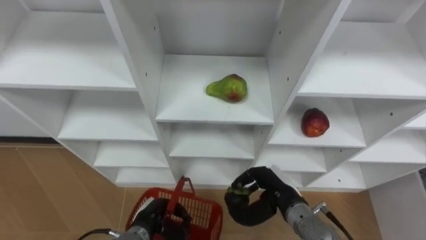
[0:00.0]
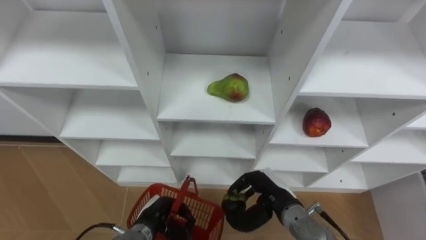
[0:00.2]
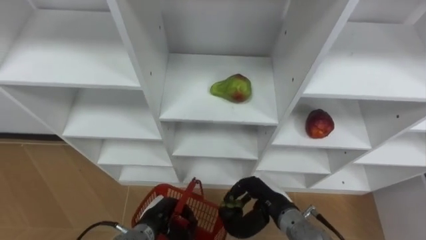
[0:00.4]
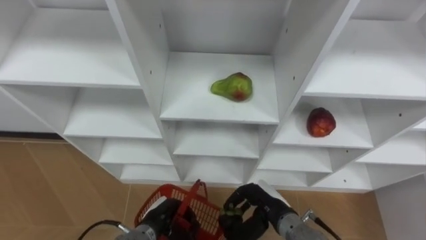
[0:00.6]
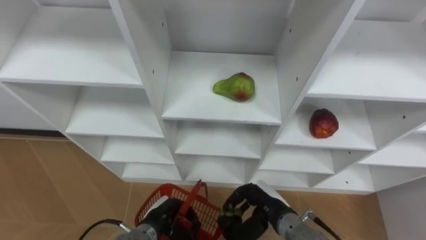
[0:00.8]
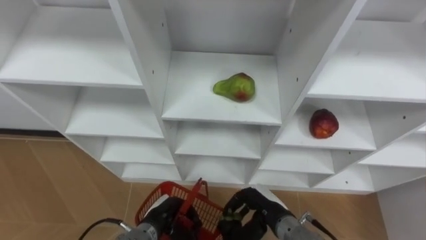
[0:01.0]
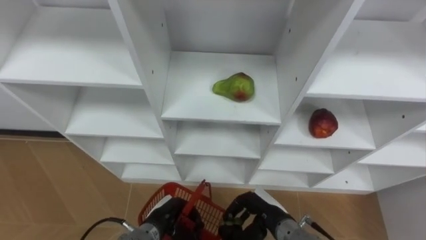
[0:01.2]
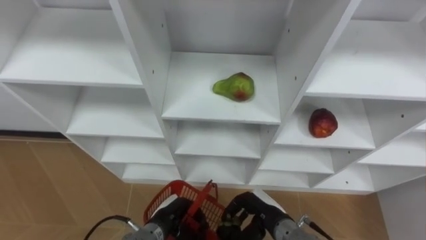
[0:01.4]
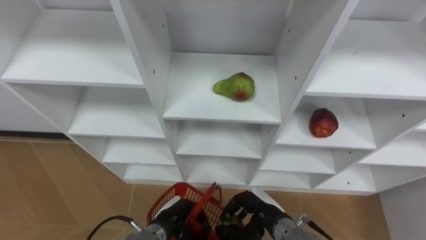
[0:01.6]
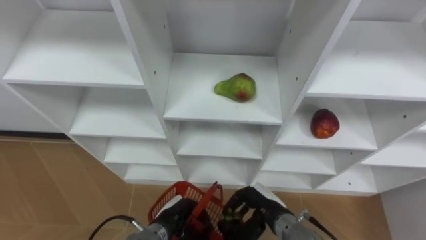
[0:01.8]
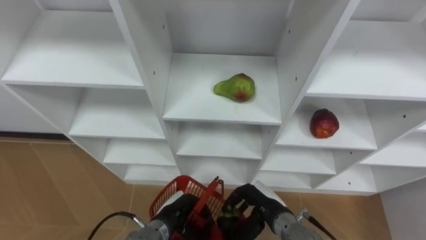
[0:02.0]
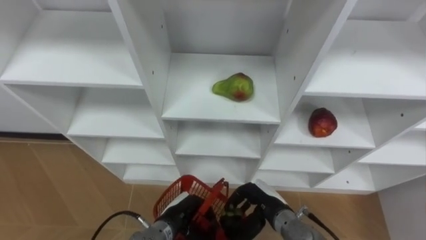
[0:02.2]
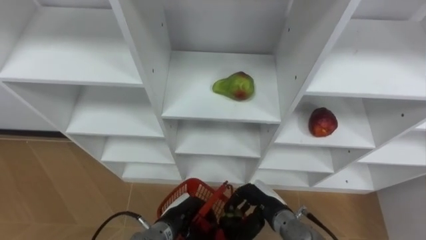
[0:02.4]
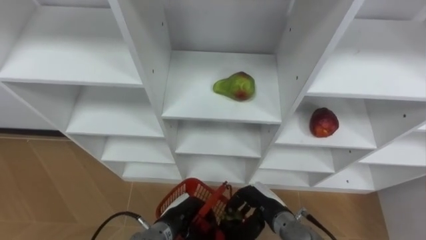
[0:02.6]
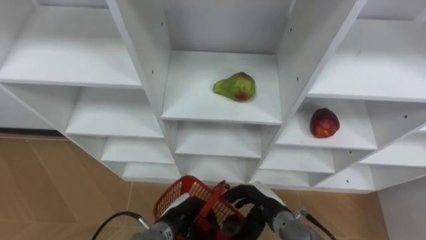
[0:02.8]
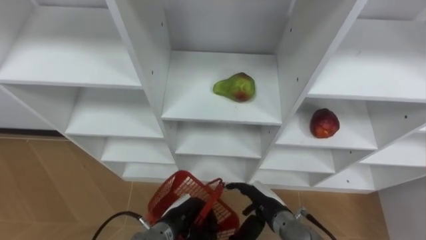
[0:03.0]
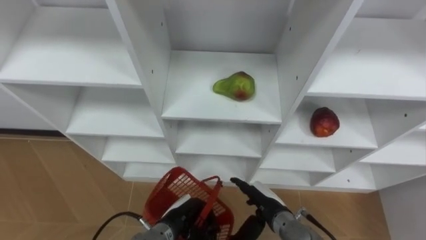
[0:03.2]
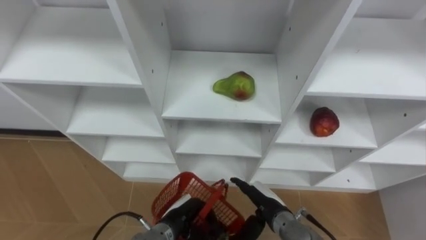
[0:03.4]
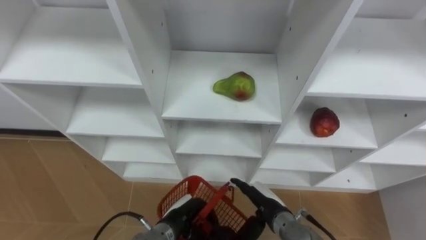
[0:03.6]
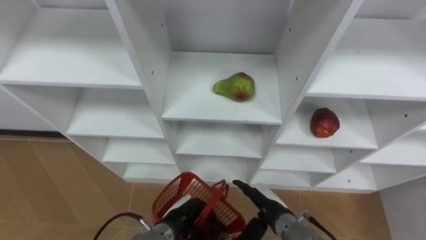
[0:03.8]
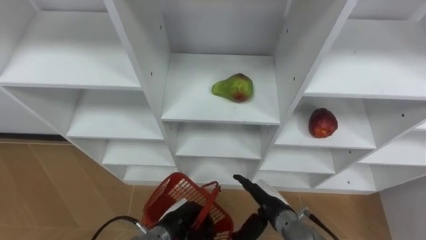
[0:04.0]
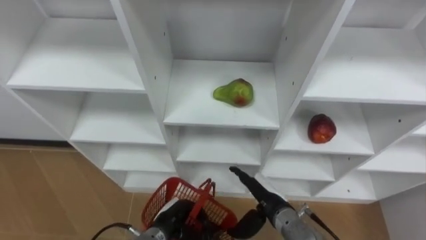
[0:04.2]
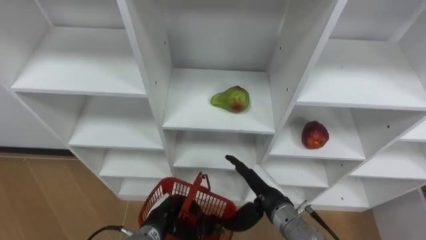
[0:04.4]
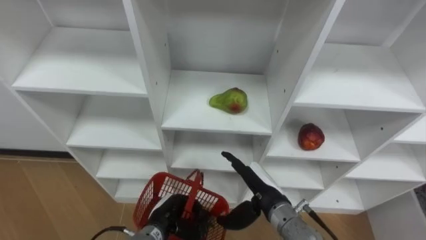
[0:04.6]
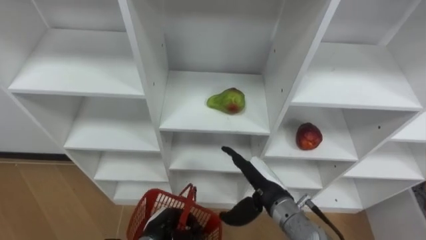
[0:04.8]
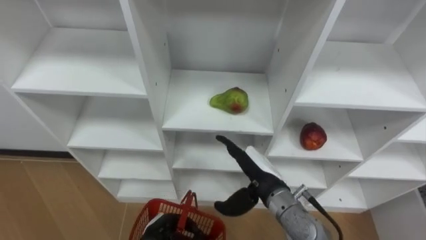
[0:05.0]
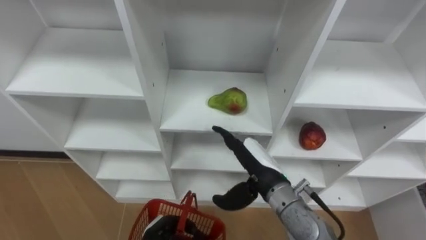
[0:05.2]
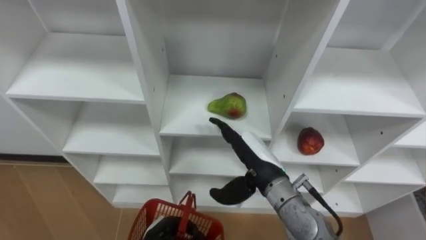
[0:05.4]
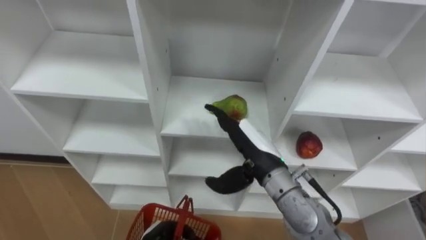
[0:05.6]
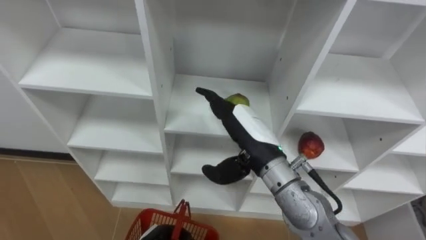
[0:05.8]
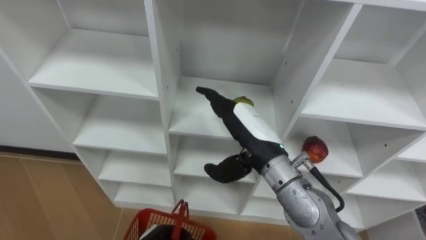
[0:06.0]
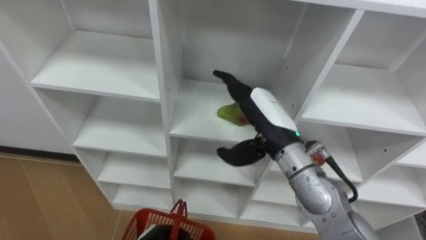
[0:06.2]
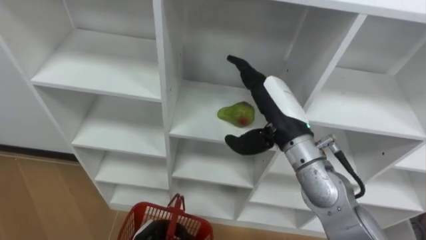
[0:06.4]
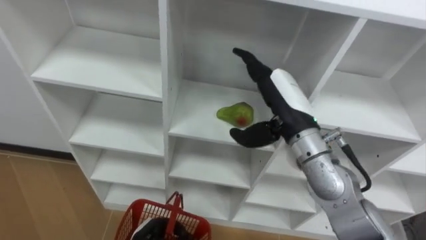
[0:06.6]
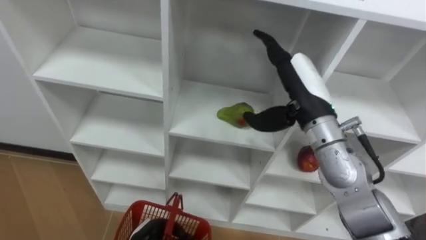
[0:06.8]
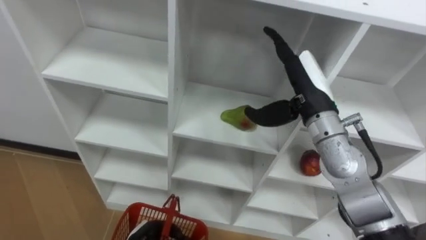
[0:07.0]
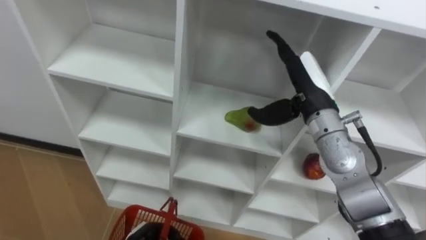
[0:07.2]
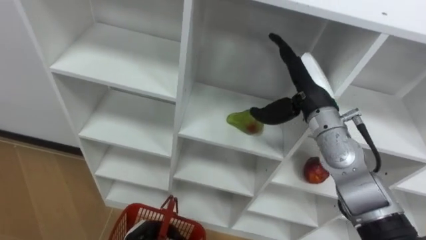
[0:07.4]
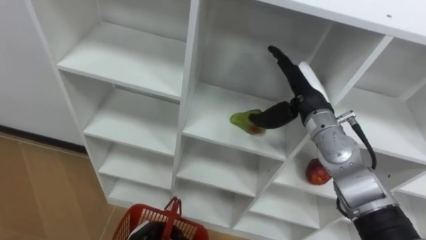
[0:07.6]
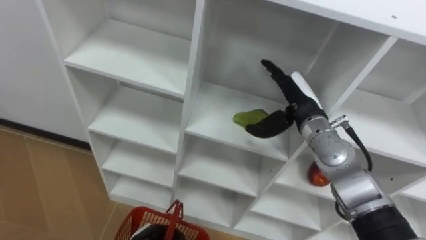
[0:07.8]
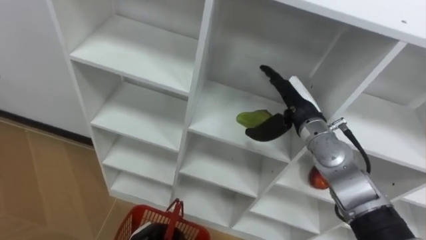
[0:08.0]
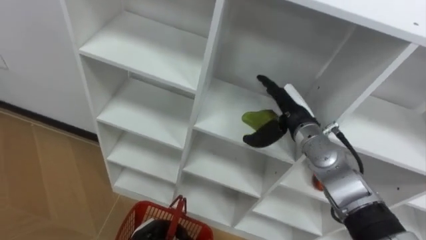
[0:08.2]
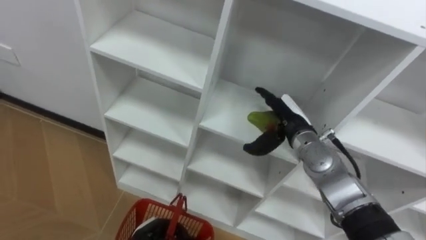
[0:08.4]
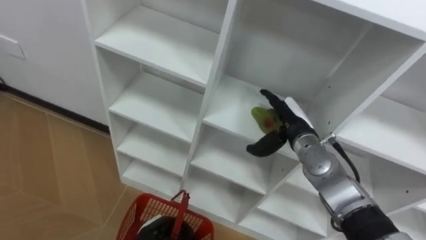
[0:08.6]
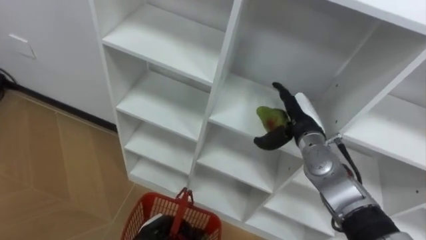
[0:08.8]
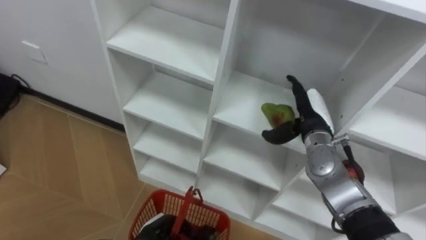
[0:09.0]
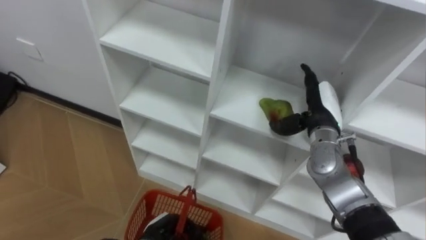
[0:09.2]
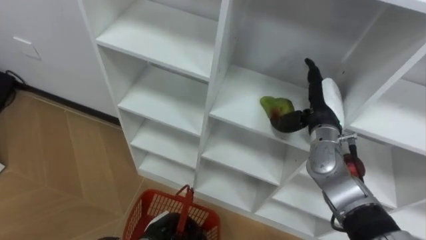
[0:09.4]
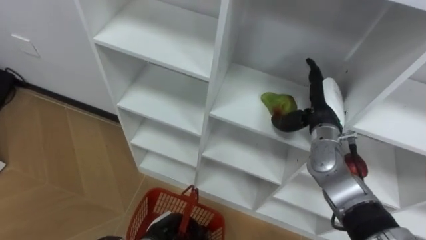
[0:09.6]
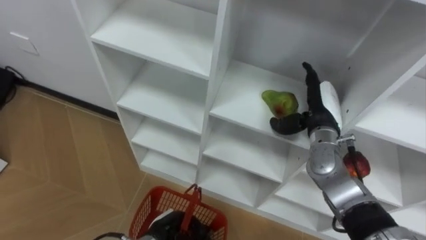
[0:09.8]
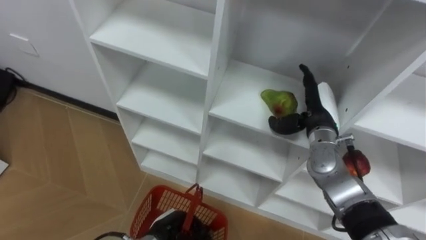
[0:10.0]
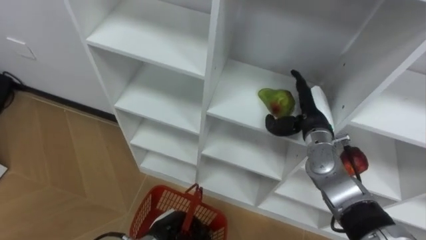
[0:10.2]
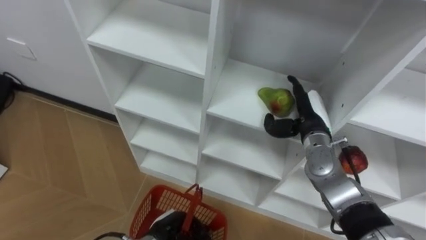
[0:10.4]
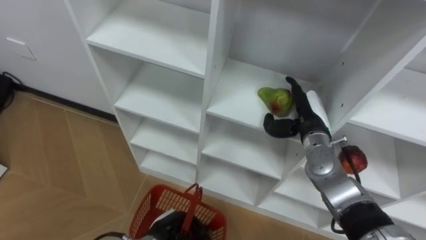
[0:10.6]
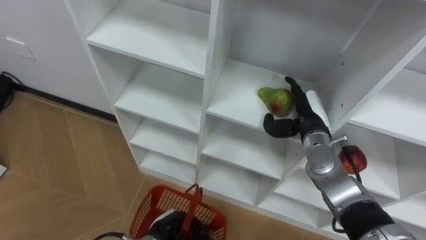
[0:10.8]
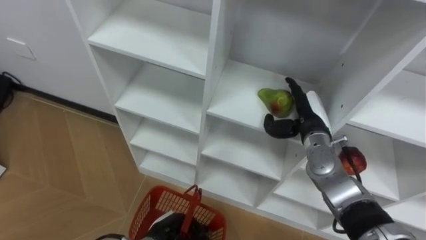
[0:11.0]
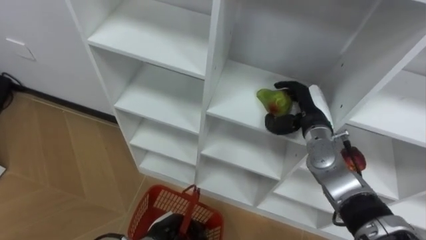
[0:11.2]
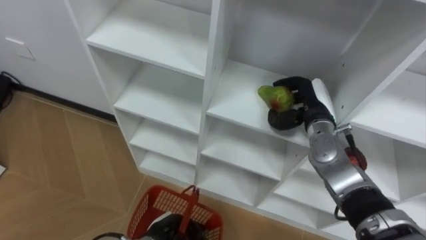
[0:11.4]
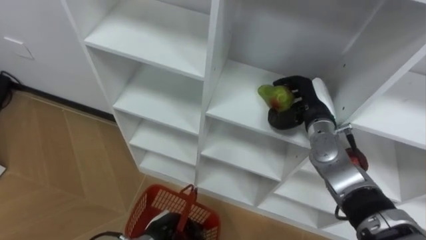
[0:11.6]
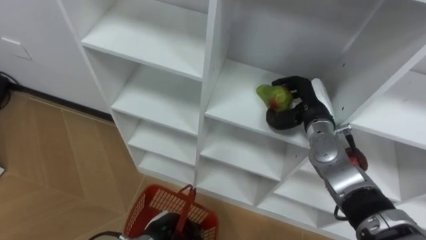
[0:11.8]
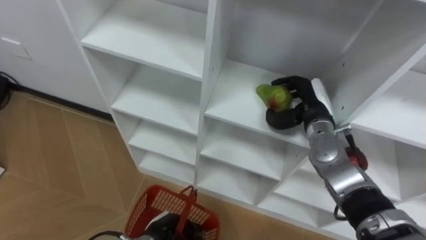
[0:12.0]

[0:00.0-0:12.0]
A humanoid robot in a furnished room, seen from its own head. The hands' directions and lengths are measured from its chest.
Task of the whole recording: Hold the basket and collect the fruits from 3 different cells of the closet into it.
0:00.0 to 0:01.6: The right hand changes place by roughly 5 cm.
0:01.6 to 0:03.0: The right hand opens its fingers.
0:03.0 to 0:04.4: The right hand goes roughly 5 cm upward.
0:04.4 to 0:06.0: The right hand moves upward, roughly 15 cm.
0:06.0 to 0:07.6: The right hand heads to the right and forward, covering about 15 cm.
0:07.6 to 0:09.0: The right hand heads downward, covering approximately 5 cm.
0:10.4 to 0:12.0: The right hand closes.

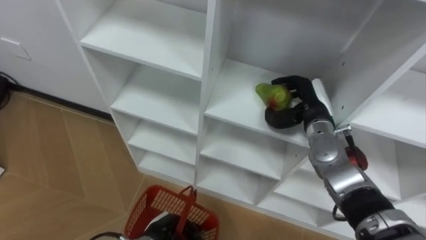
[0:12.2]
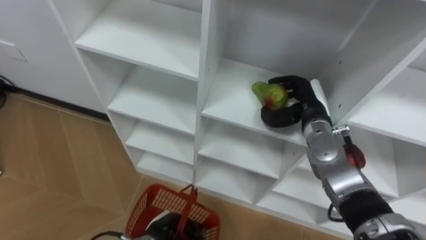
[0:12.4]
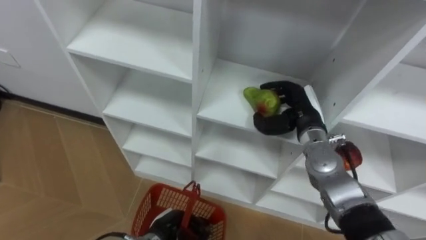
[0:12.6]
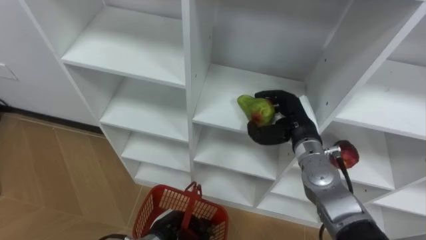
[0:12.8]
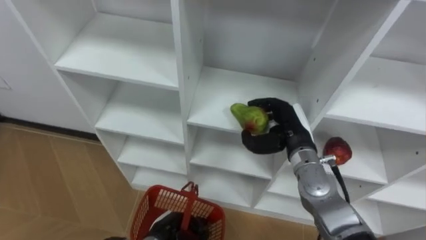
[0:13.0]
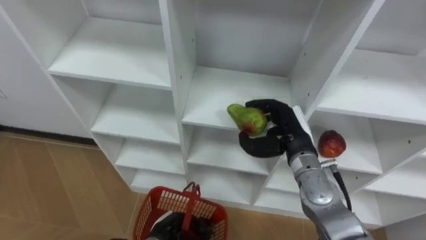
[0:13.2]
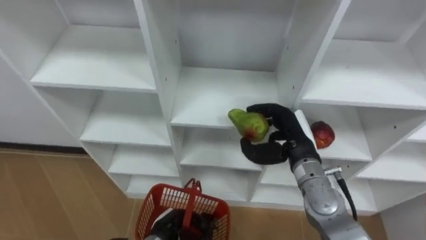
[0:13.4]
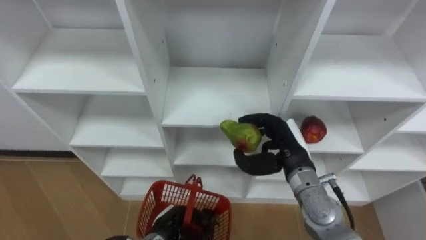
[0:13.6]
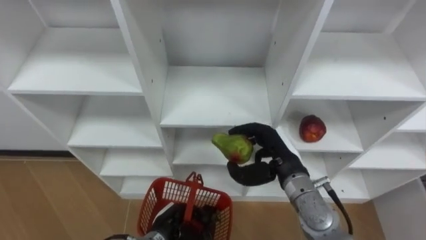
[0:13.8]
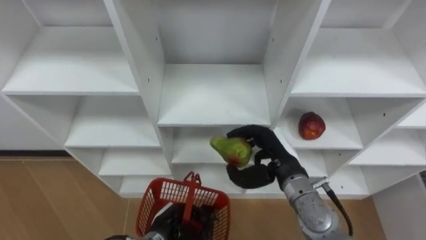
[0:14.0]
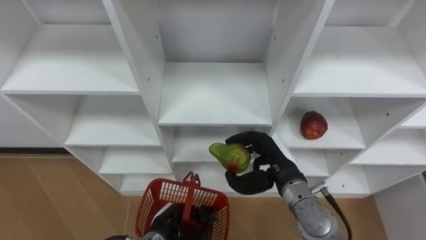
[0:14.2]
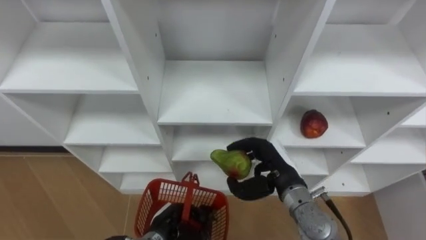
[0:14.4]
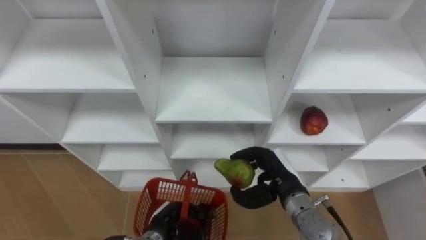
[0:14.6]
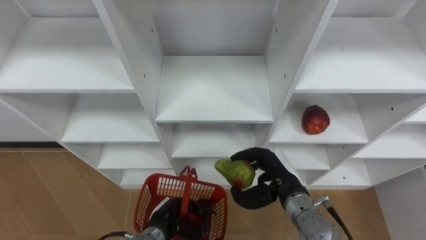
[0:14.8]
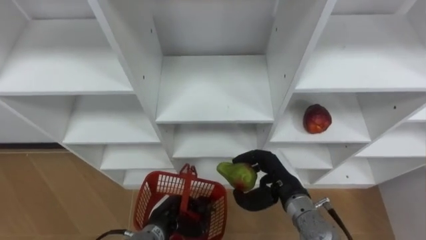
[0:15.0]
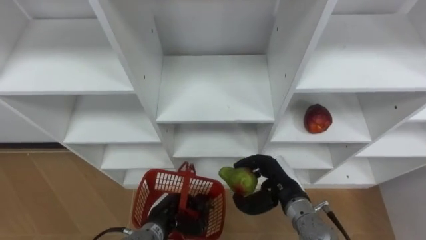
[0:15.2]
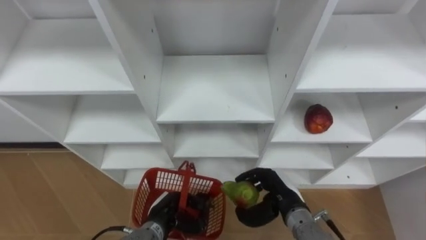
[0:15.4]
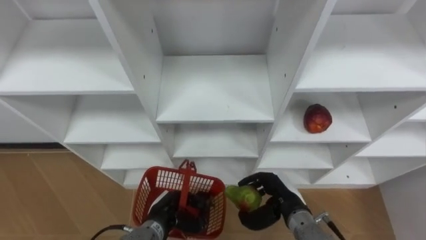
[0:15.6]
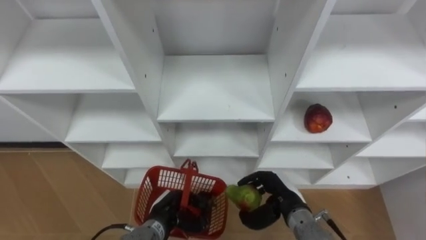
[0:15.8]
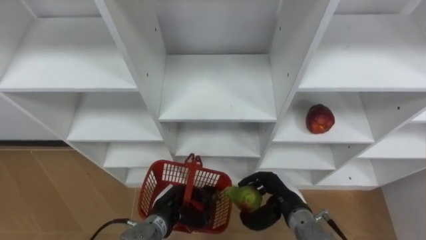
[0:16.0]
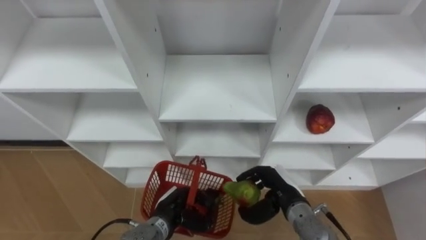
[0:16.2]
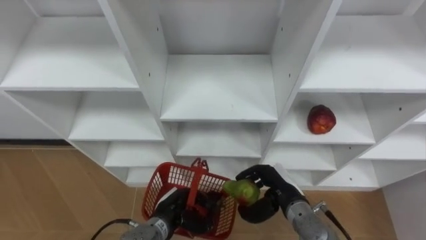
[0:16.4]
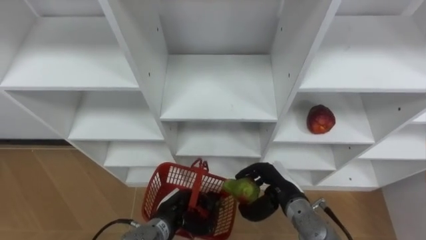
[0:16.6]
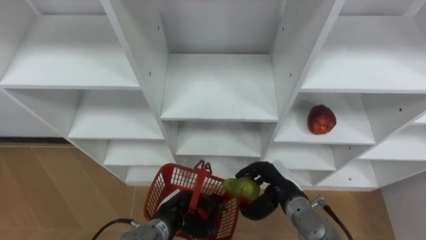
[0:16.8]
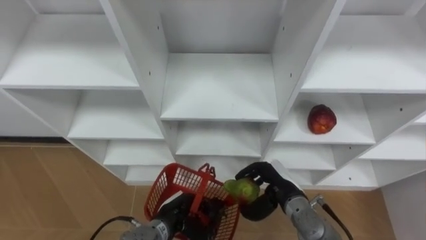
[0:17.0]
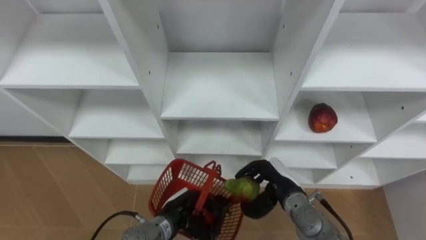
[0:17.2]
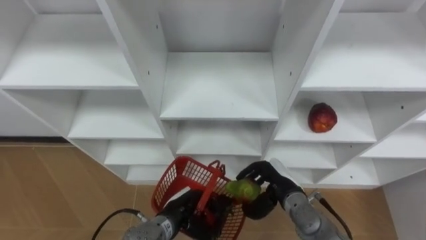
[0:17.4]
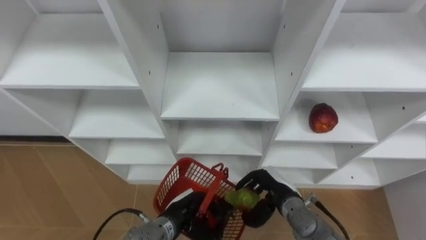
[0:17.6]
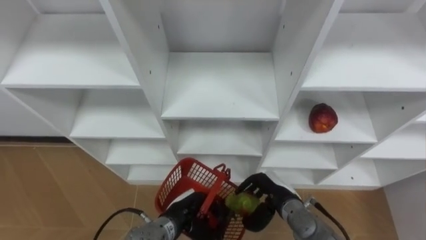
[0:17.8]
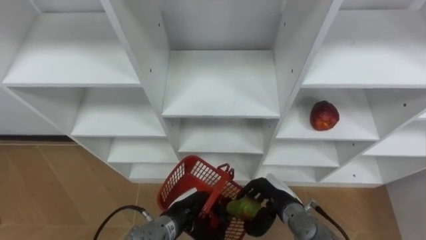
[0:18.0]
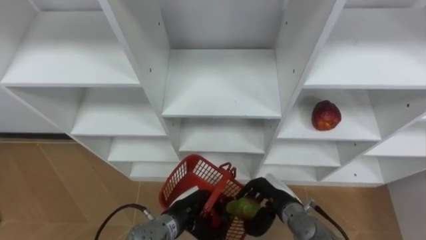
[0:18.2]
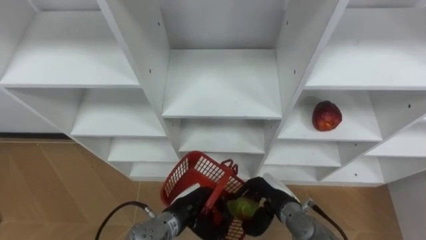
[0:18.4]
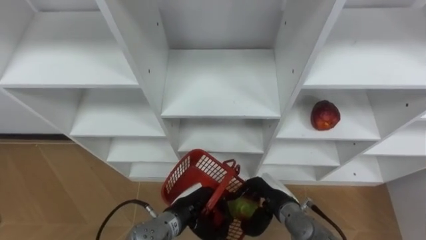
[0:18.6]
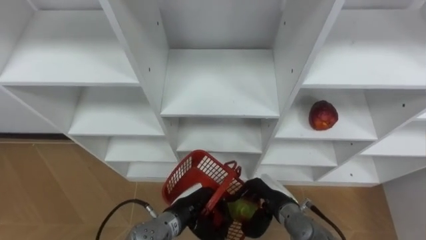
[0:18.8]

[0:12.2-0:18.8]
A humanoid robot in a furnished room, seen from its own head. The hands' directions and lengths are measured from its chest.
Task of the whole recording: Hold the basket and collect the fruits from 3 different cells of the closet into it.
0:12.2 to 0:13.8: The right hand goes approximately 10 cm backward and to the left.
0:13.8 to 0:15.4: The right hand moves downward, roughly 10 cm.
0:15.4 to 0:17.2: The hands stay close to where they were, moving slightly.
0:17.2 to 0:18.8: The hands stay close to where they were, moving slightly.
